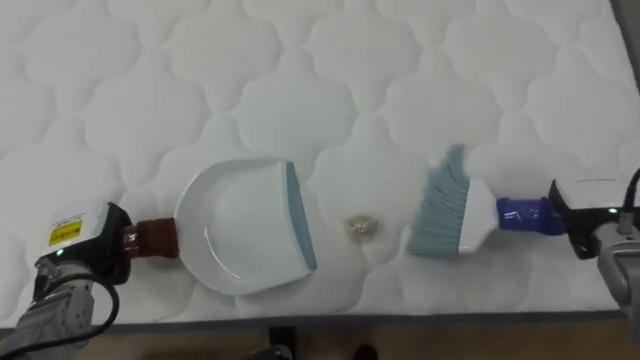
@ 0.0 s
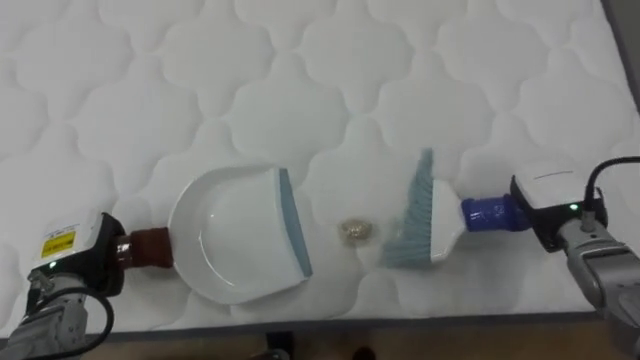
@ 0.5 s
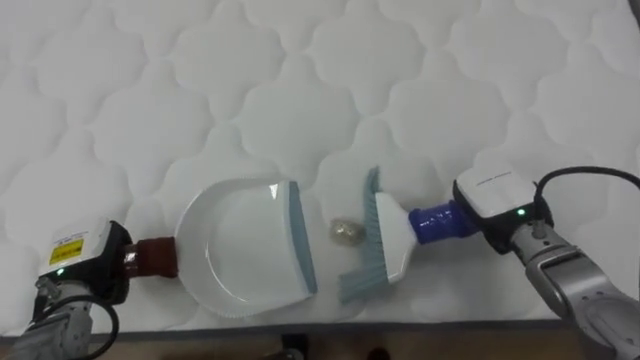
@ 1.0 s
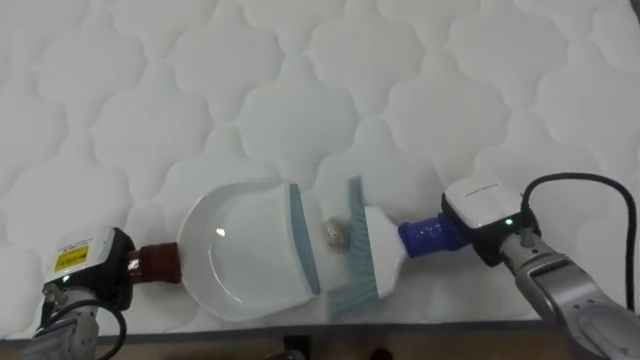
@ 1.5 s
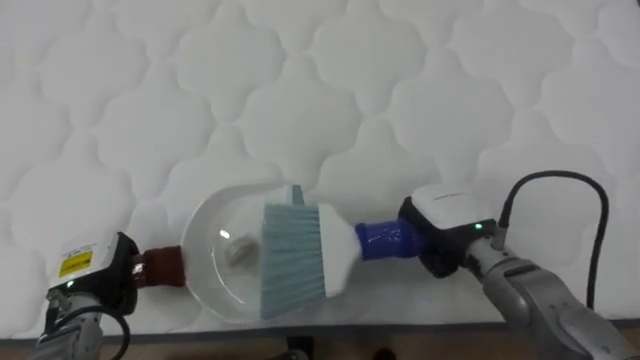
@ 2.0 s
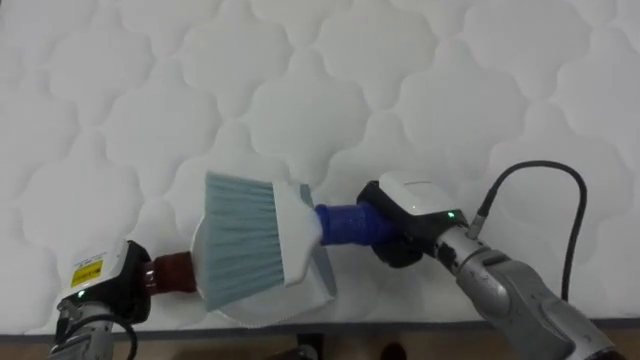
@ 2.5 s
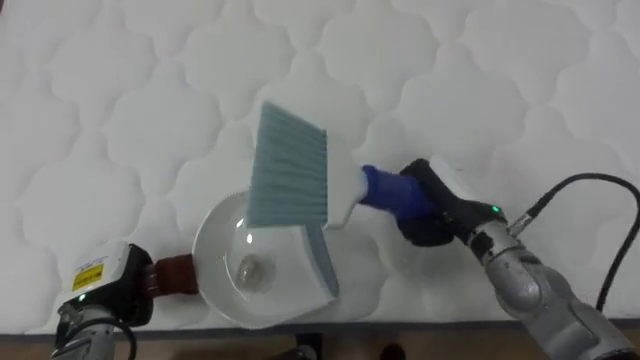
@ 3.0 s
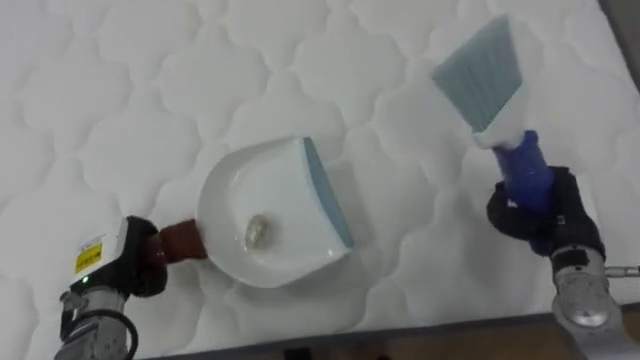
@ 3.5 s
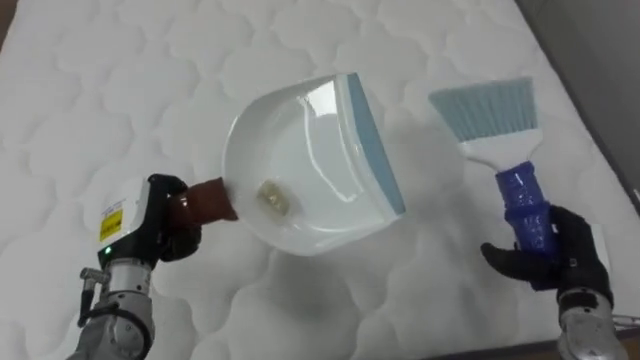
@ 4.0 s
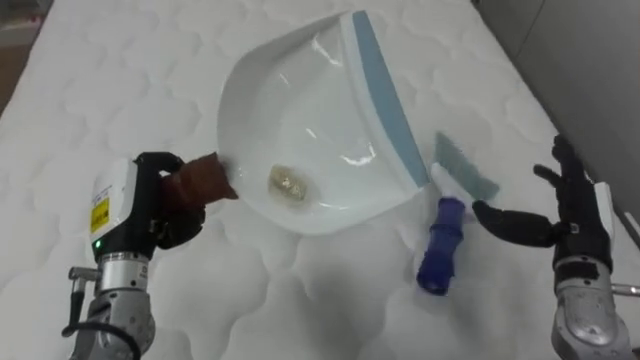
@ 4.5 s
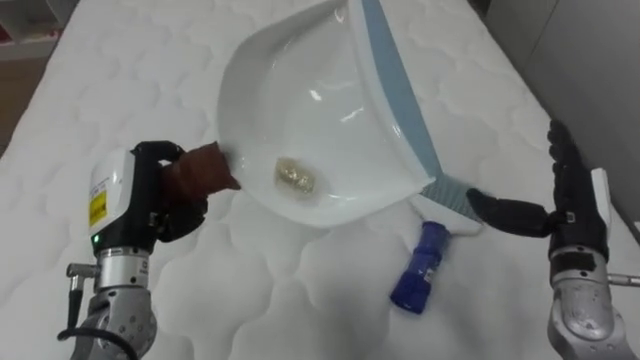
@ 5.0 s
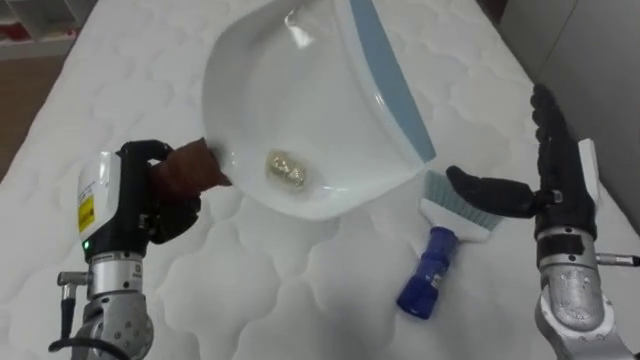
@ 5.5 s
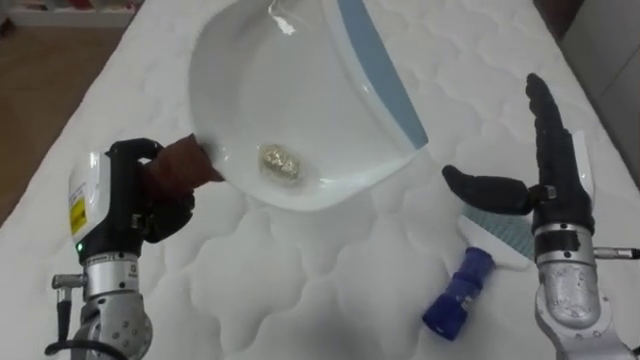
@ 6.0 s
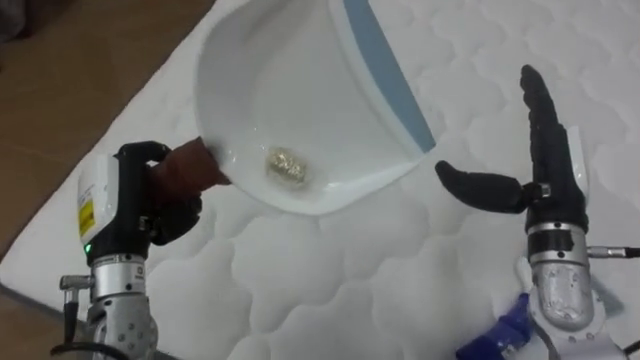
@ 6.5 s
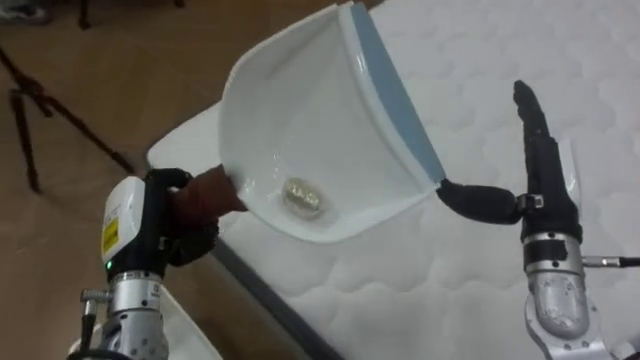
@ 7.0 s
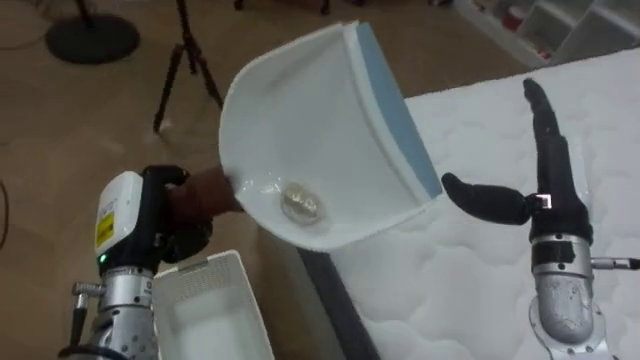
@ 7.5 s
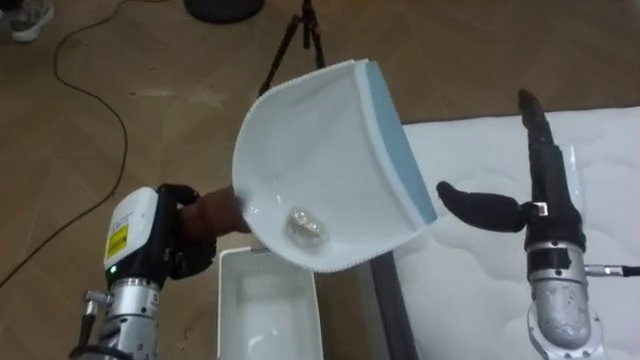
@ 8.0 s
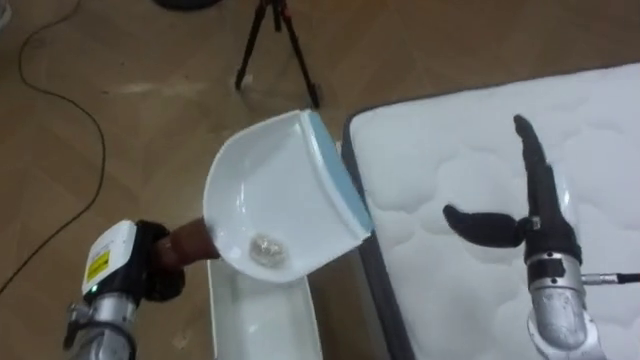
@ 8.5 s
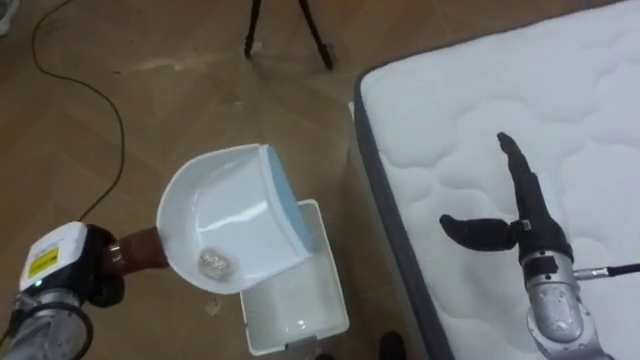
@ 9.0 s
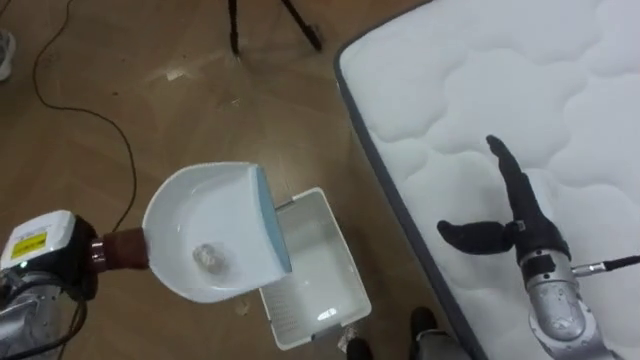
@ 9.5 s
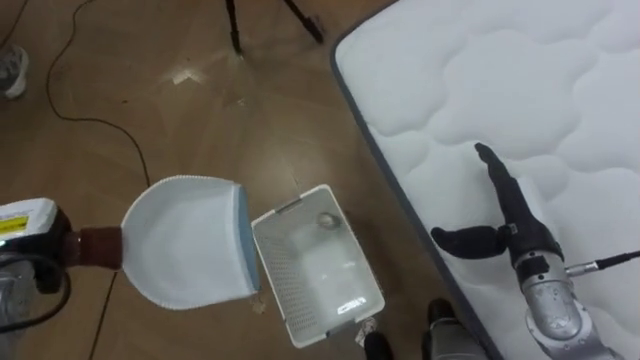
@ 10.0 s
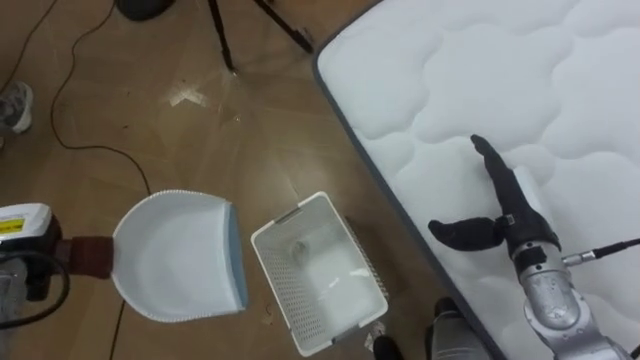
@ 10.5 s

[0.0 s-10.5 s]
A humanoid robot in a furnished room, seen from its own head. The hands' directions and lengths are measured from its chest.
Task of the whole recording: Pick up the brush on your right and the dustpan on your left. Use the brush to sweep the crumpled paper on the bed into the dustpan, then turn left and empty it into the basket.
0.0 to 2.0 s: The right hand shifts some 20 cm to the left.
2.0 to 4.0 s: The left hand is displaced upward and to the right by roughly 10 cm. The right hand heads to the right, covering roughly 15 cm, and opens up.
4.0 to 6.5 s: The right hand heads upward and to the left, covering approximately 15 cm, and opens its fingers, while the left hand is displaced upward by some 5 cm.
6.5 to 8.5 s: The robot turns to its left by approximately 65 degrees. The left hand shifts some 10 cm downward. Meanwhile the right hand moves downward, roughly 5 cm.
8.5 to 10.5 s: The left hand travels to the left by roughly 15 cm.

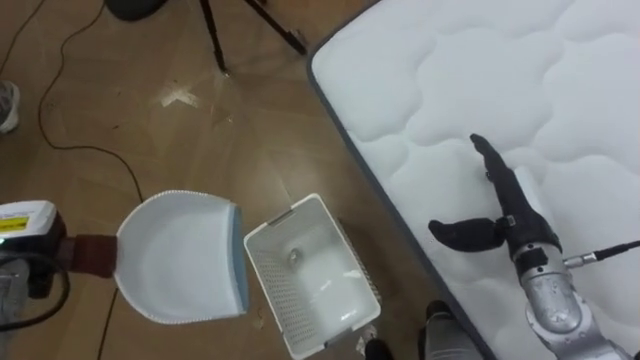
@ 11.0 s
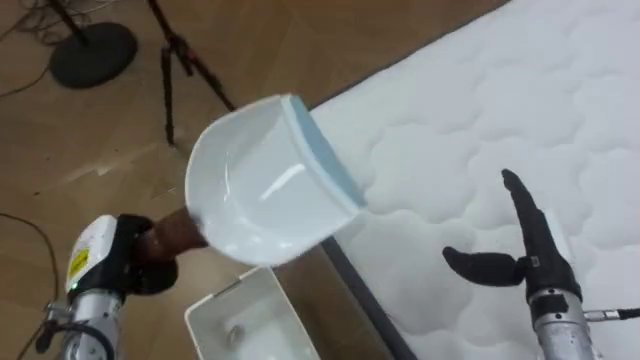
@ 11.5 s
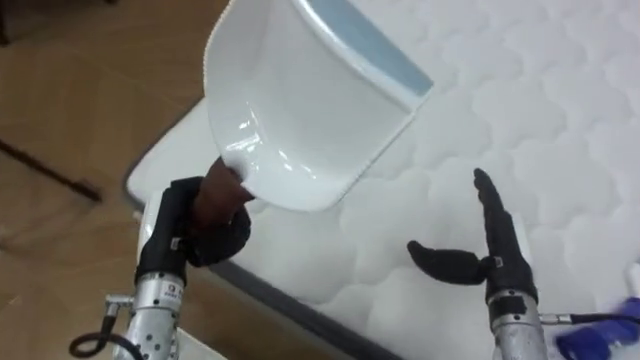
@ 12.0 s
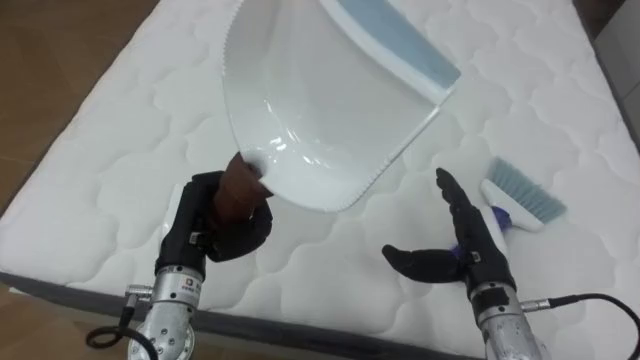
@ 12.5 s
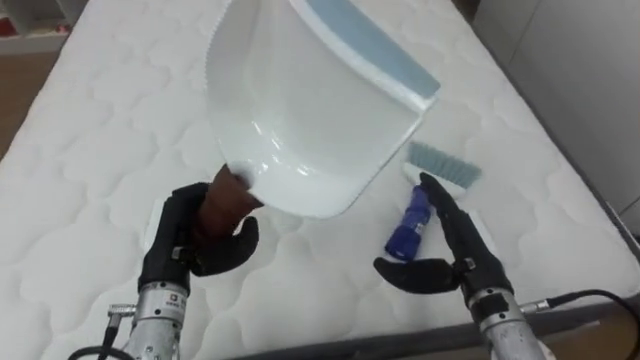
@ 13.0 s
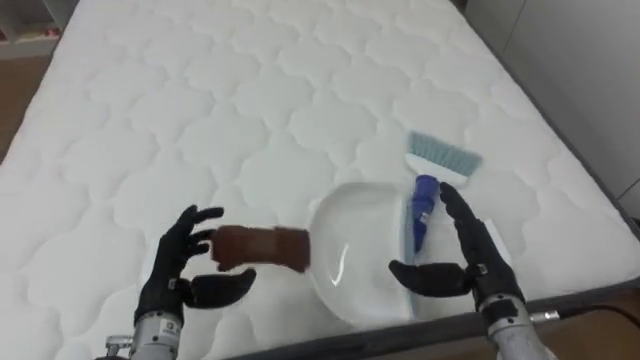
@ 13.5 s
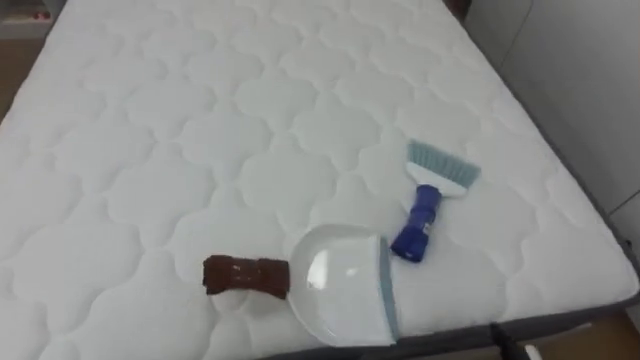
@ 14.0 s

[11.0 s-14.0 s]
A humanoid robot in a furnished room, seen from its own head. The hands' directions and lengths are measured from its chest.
Task of the whole recording: Pick up the brush on your right and the dustpan on your left. Use the brush to sweep the crumpled paper on the bed into the dustpan, then turn left and empty it into the basket.
11.0 to 12.5 s: The robot faces roughly 65 degrees further to its right. The left hand is displaced to the right by approximately 20 cm; the right hand moves some 5 cm.
12.5 to 14.0 s: The robot rotates roughly 20 degrees to its right.

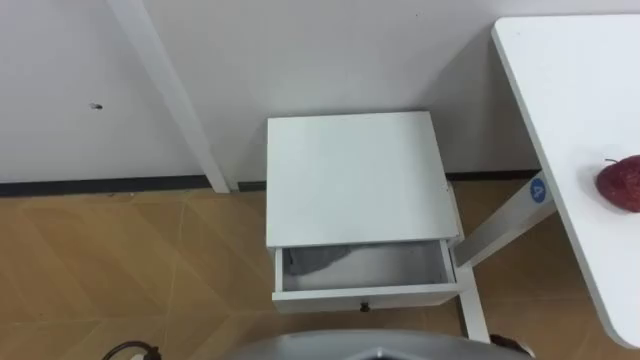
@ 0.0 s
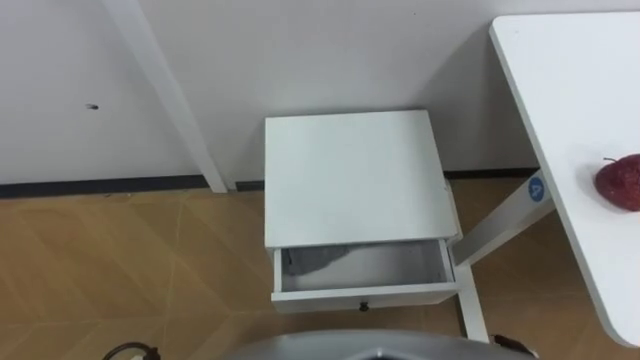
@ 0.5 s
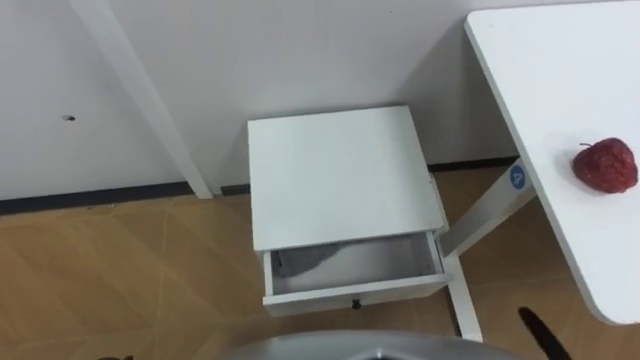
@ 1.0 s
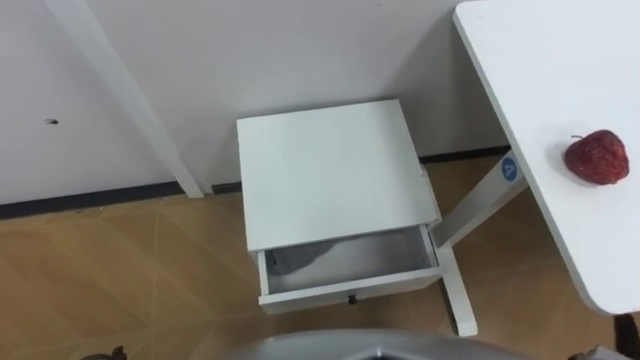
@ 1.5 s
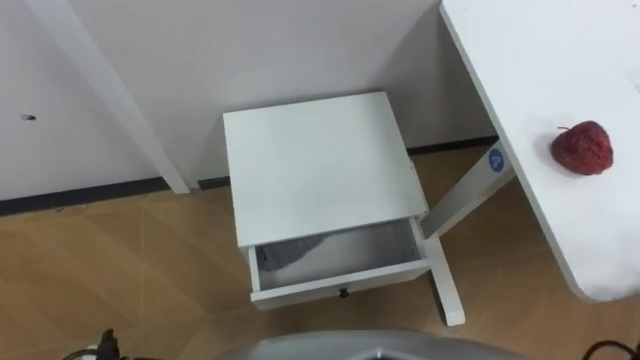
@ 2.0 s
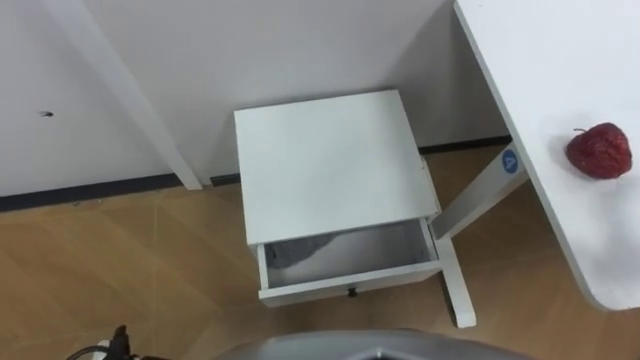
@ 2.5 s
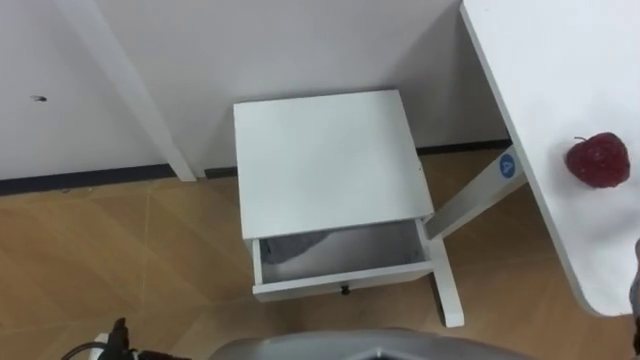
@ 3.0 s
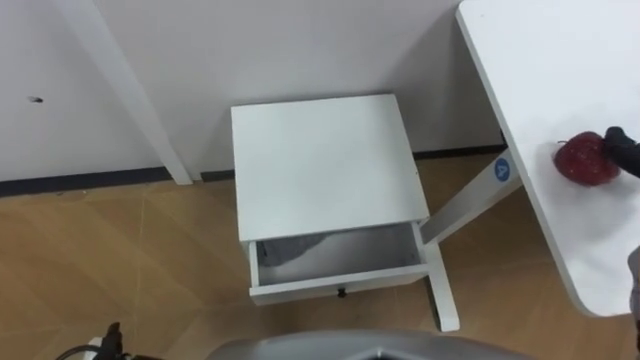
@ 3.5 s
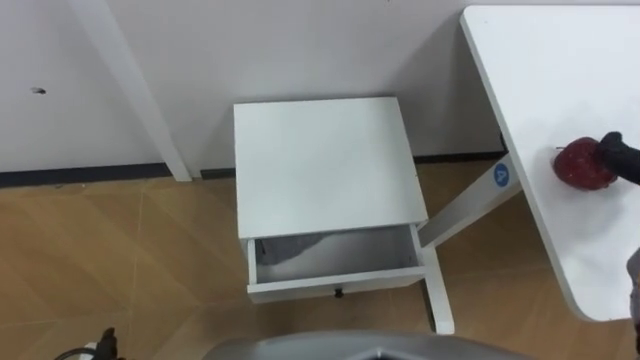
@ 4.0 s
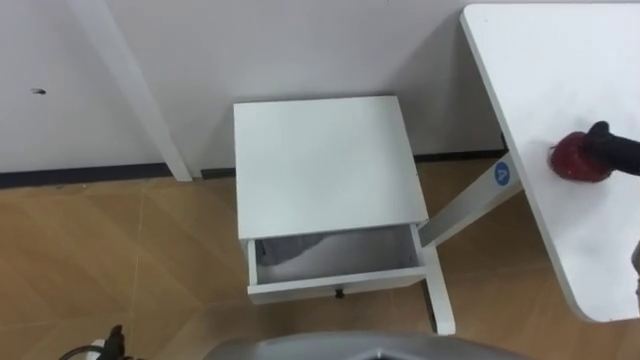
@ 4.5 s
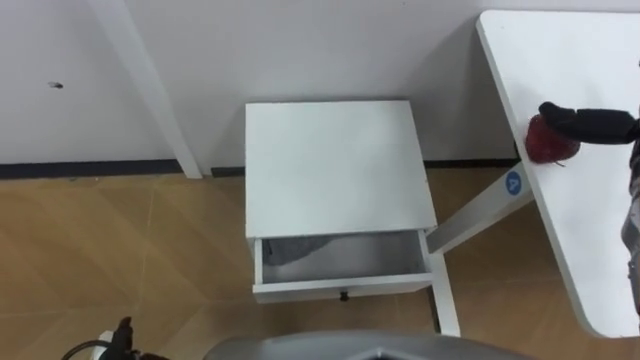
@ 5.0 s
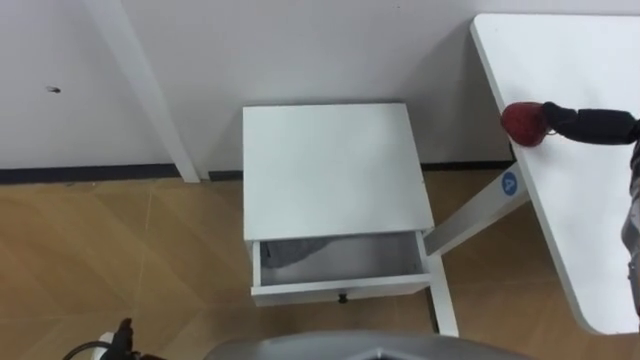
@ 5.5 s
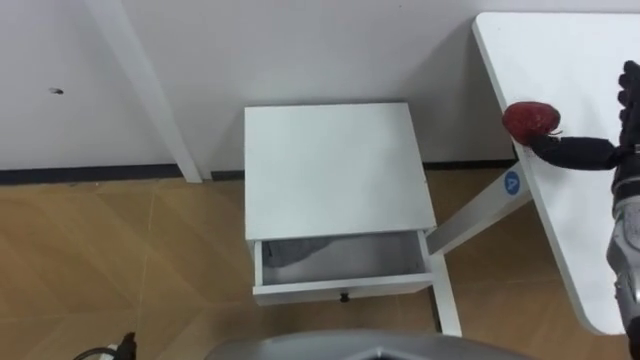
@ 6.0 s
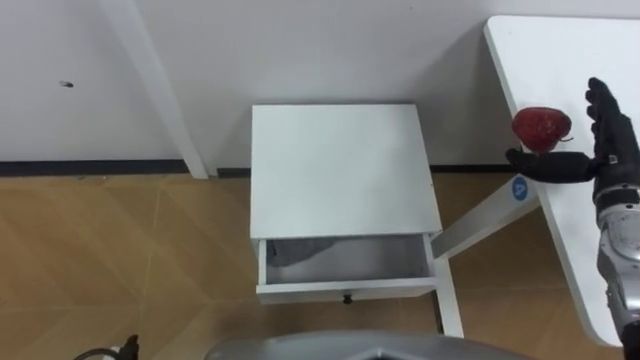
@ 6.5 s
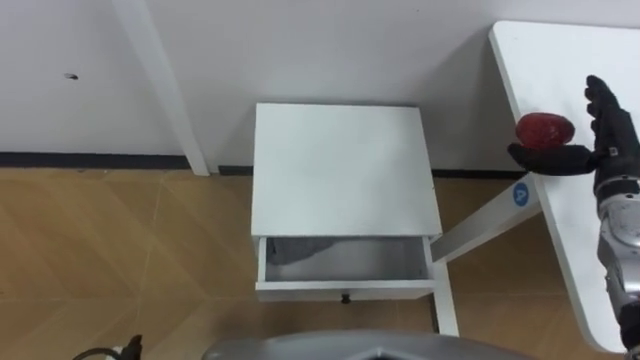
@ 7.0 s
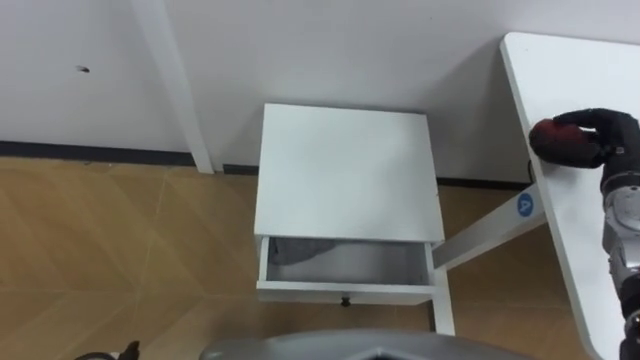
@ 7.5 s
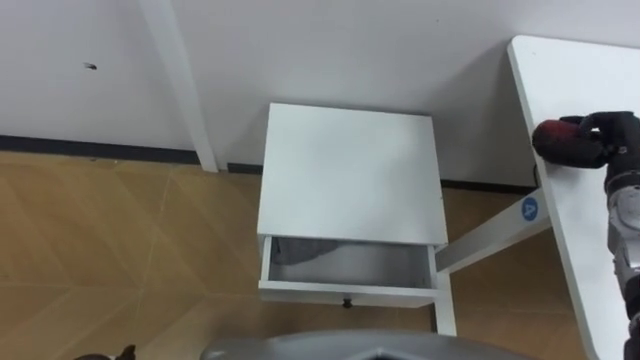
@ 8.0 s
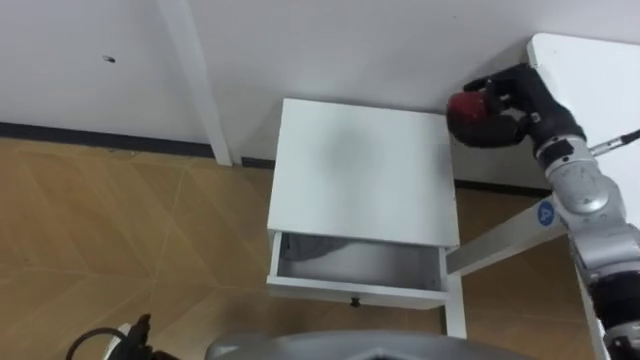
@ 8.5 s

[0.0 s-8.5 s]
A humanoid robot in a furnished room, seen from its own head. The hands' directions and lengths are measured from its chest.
Task of the whole recording: Pick up the apple from the table, put it in the drawer, and close the drawer with leg.
6.5 to 8.5 s: The right hand travels to the left and forward by about 10 cm, and closes.
